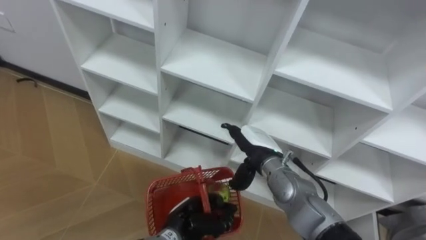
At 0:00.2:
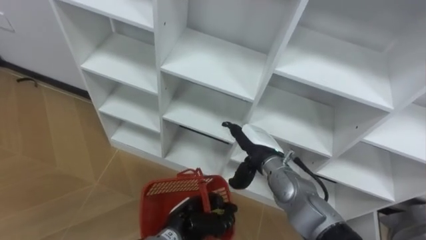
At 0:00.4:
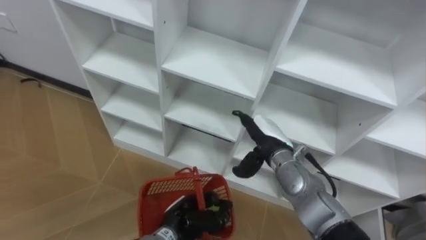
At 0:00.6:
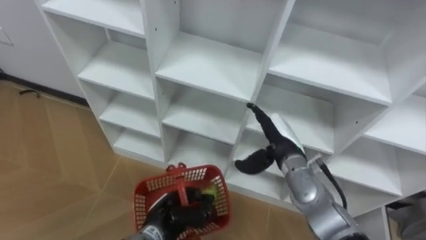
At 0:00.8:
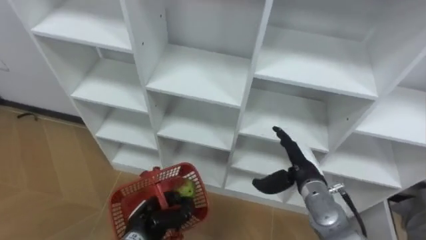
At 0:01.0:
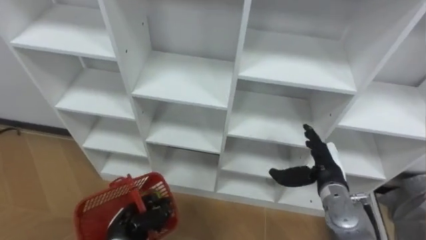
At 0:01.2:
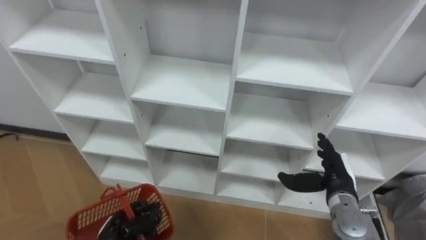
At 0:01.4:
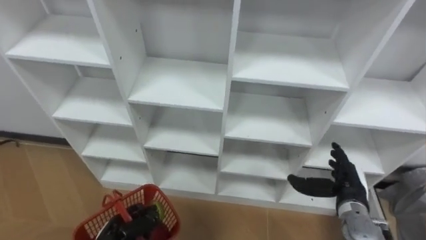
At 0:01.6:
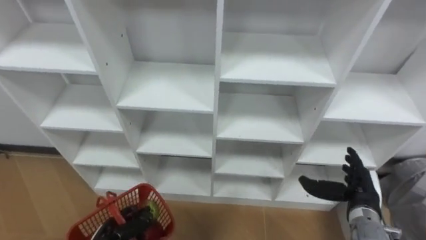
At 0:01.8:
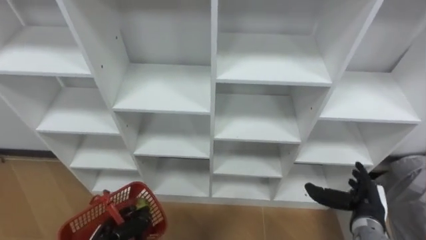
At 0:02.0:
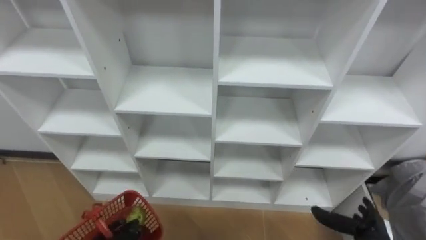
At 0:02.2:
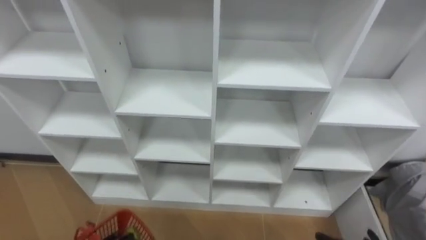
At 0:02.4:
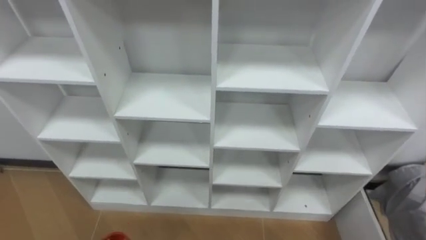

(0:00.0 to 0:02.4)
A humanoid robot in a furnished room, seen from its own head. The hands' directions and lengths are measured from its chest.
Task of the whole recording: Hold the basket and collect the fruits from 3 different cells of the closet into it.
0:00.0 - 0:01.2: The left hand goes about 15 cm to the left. Meanwhile the right hand goes approximately 15 cm to the right.

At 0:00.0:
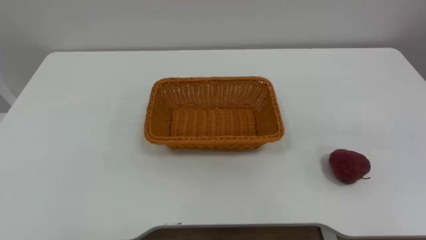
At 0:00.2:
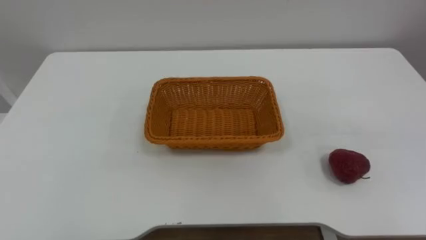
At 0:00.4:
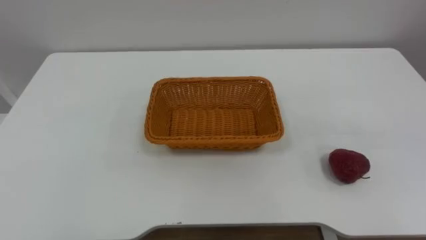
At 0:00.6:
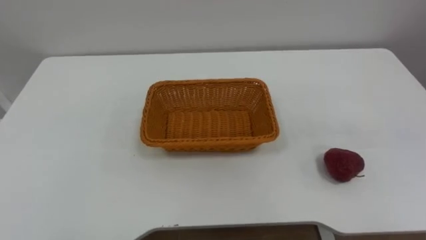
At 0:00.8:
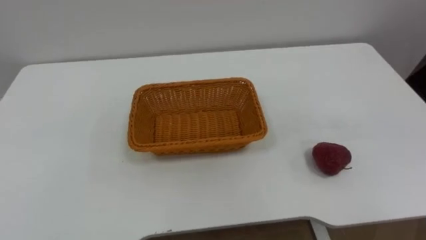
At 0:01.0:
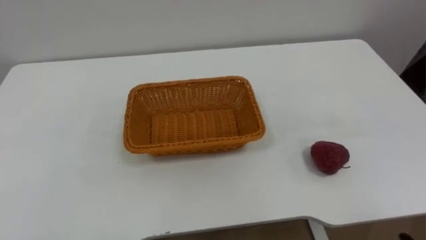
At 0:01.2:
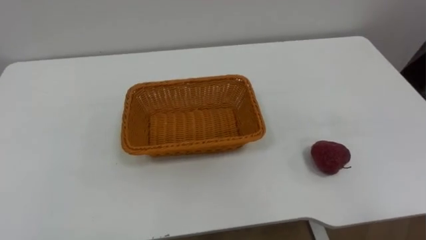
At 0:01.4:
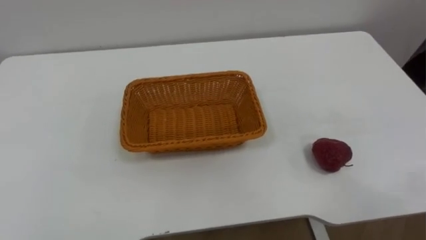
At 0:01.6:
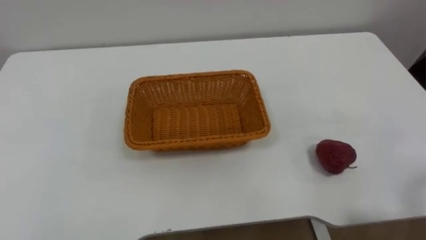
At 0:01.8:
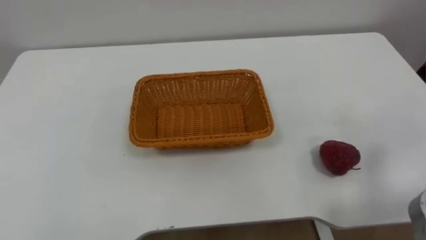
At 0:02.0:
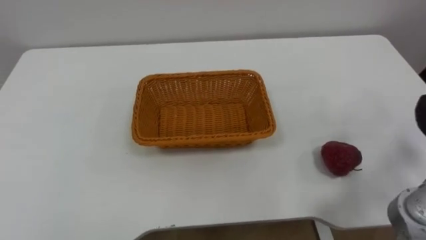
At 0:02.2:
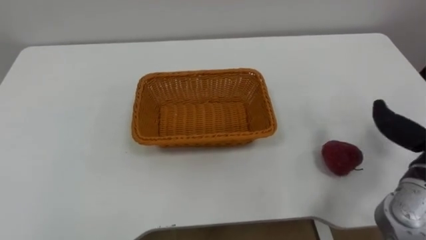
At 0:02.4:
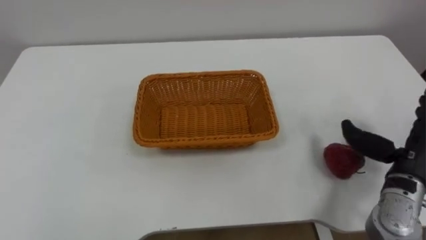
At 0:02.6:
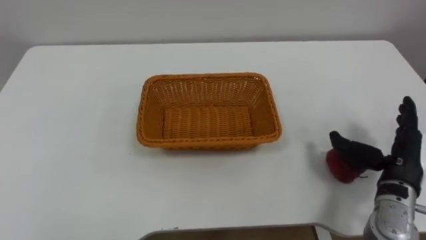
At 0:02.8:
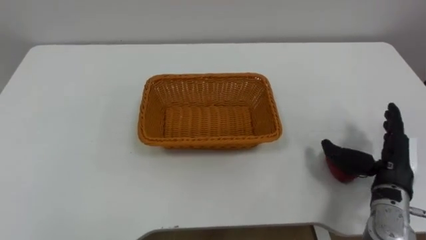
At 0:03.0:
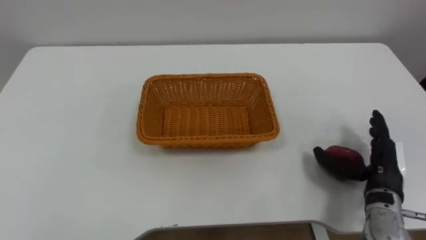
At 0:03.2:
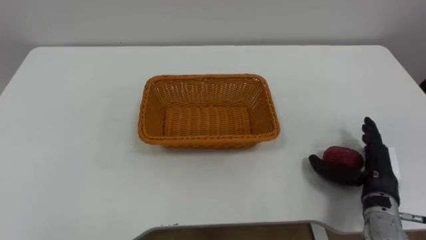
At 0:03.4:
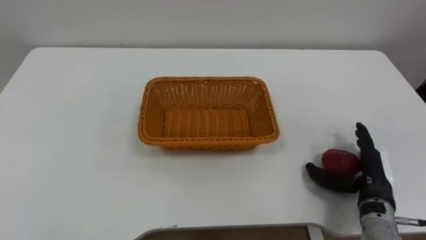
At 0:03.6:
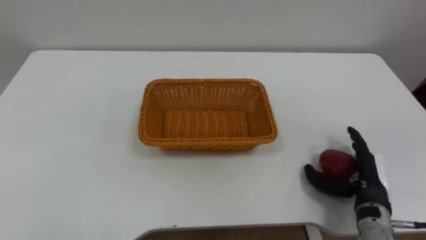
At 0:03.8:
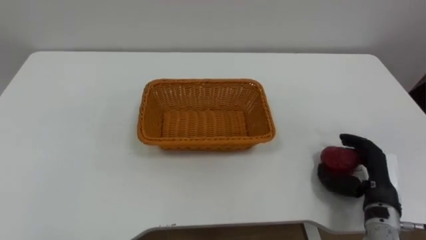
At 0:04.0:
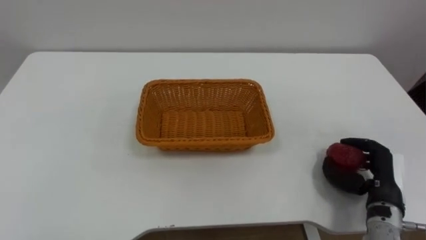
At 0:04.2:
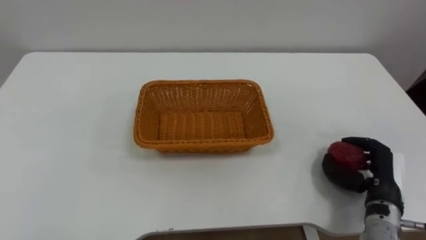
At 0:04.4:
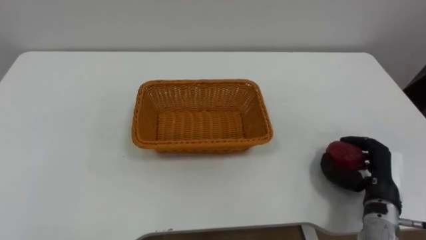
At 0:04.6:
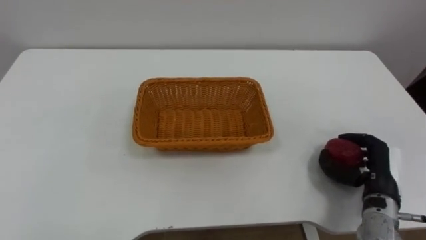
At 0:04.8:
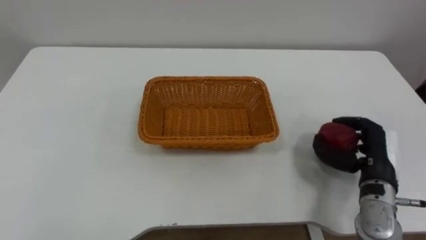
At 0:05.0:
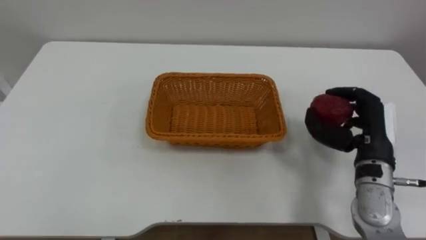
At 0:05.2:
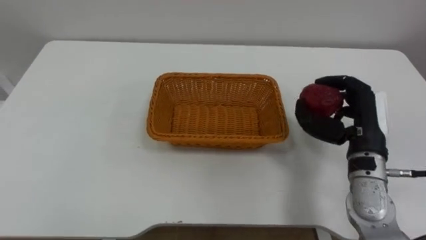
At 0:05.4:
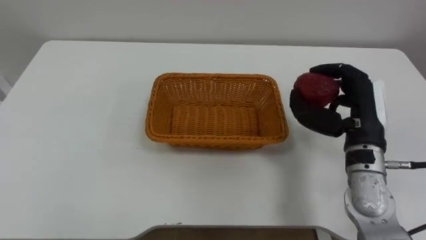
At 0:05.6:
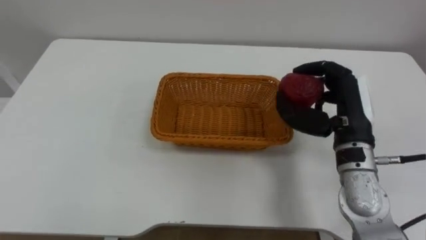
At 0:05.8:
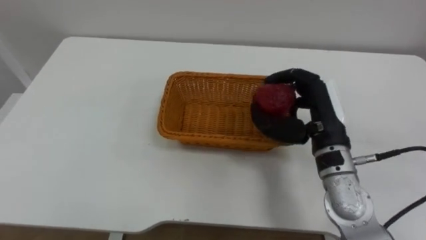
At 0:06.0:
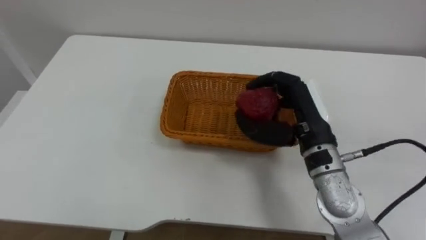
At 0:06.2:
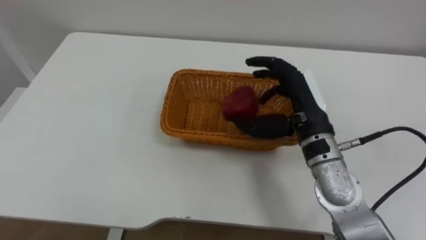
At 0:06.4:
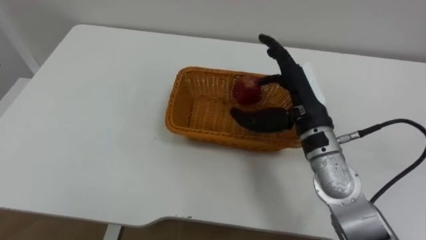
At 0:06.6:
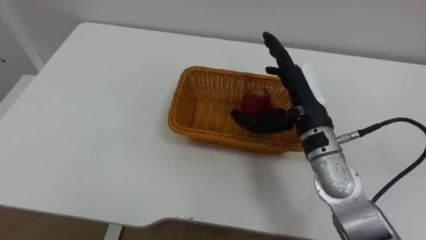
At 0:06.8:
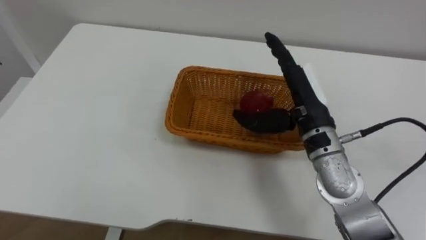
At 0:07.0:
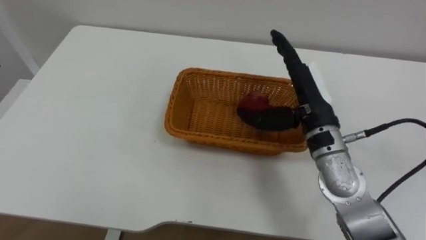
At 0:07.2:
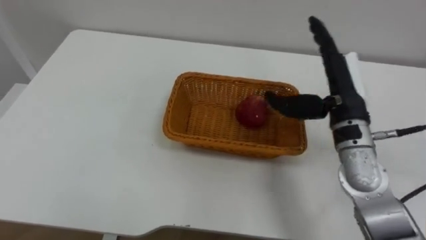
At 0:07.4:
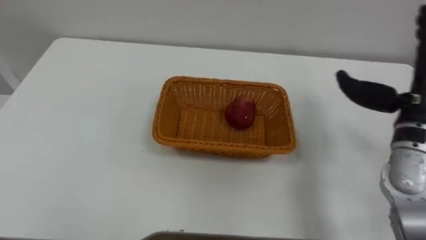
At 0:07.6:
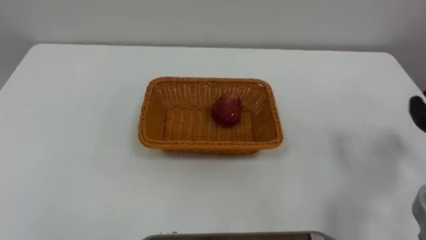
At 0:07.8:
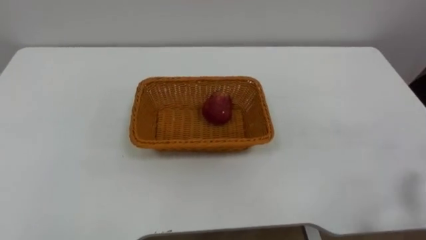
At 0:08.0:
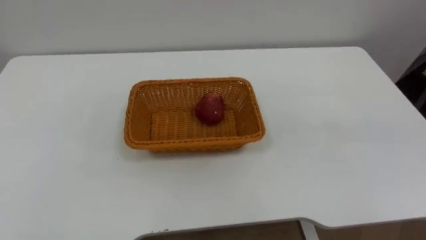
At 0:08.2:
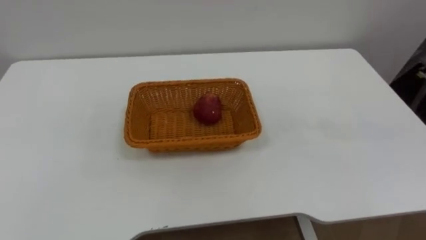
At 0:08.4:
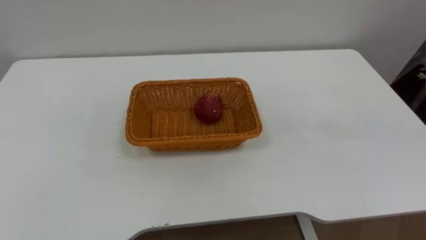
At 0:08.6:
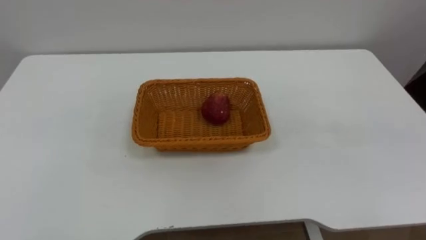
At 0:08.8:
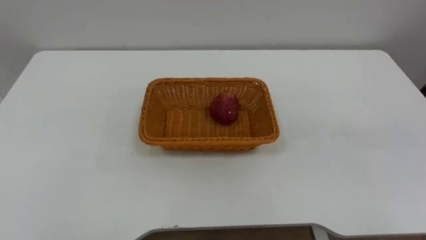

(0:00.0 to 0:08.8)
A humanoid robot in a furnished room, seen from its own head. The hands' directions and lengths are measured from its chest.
Task of the whole recording: Pick the apple and place it in the box.
0:03.0 - 0:04.4: The right hand closes its fingers.
0:04.4 - 0:05.8: The right hand travels upward, to the left and forward by roughly 20 cm.
0:05.8 - 0:07.4: The right hand is displaced to the right by roughly 10 cm, and opens.

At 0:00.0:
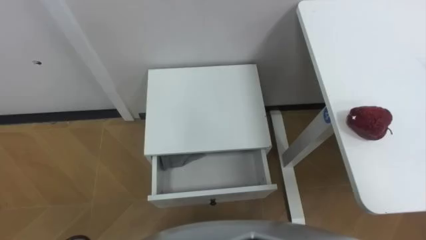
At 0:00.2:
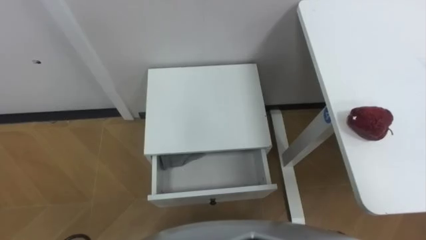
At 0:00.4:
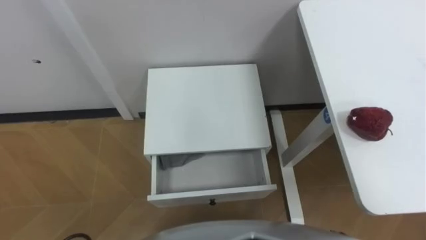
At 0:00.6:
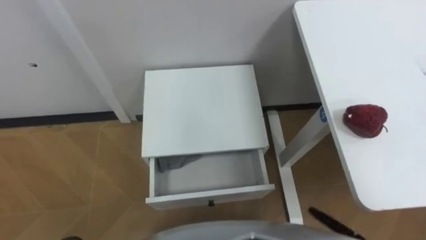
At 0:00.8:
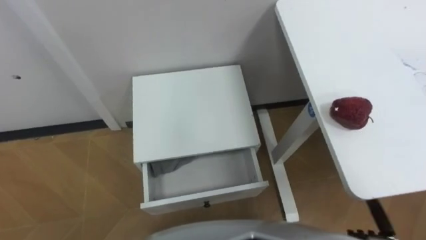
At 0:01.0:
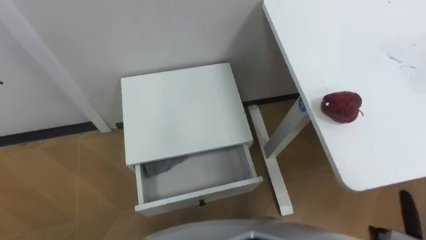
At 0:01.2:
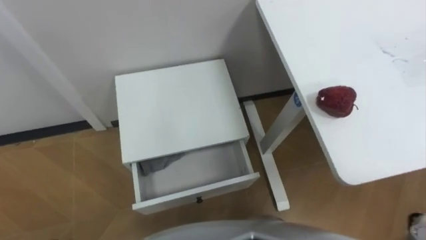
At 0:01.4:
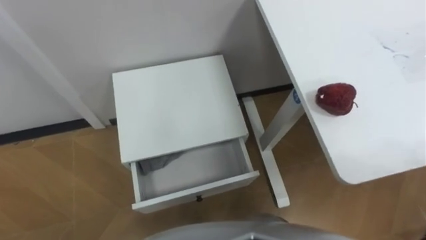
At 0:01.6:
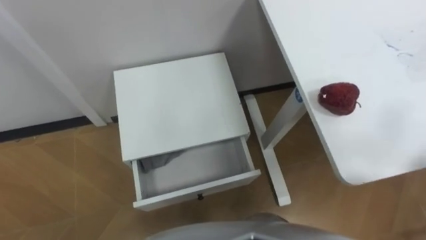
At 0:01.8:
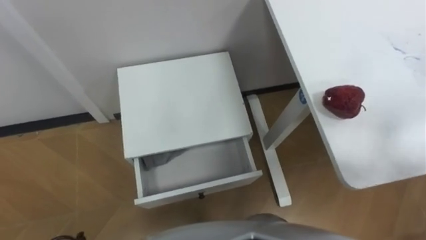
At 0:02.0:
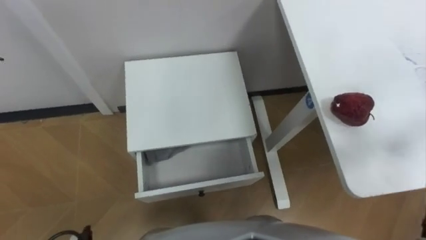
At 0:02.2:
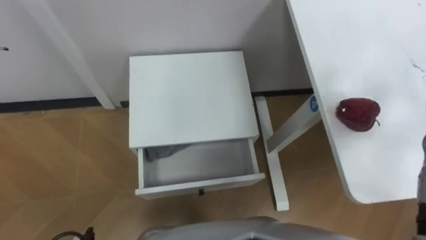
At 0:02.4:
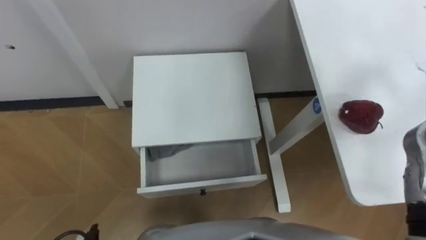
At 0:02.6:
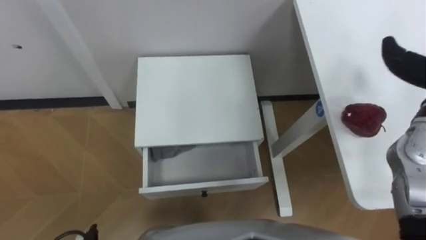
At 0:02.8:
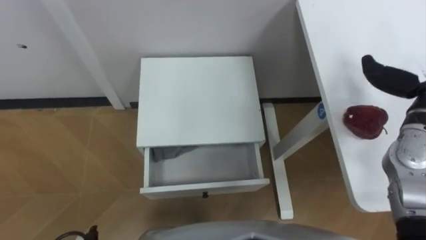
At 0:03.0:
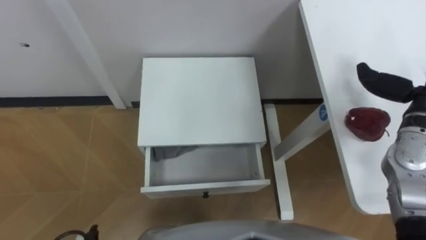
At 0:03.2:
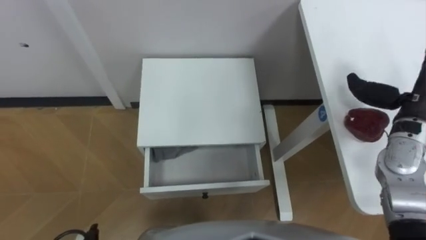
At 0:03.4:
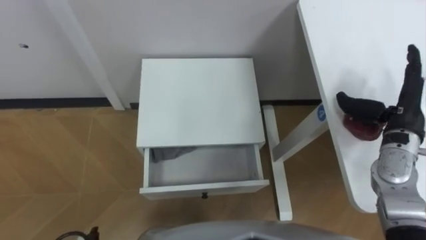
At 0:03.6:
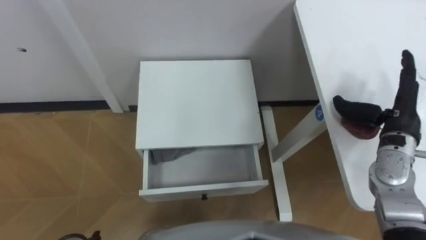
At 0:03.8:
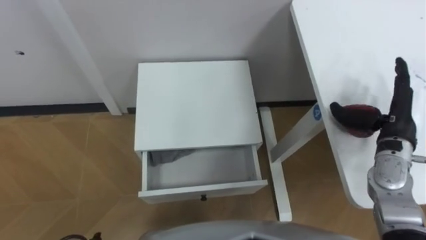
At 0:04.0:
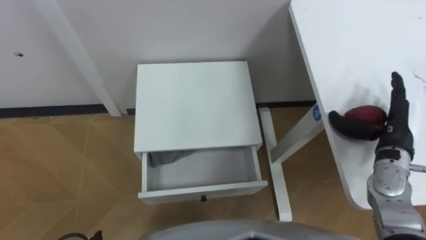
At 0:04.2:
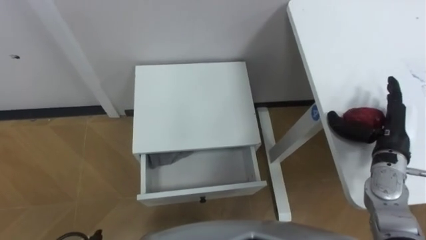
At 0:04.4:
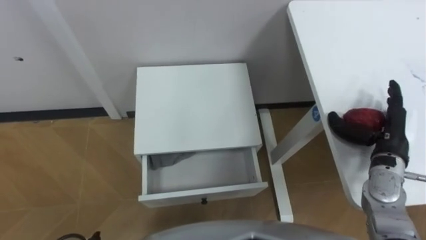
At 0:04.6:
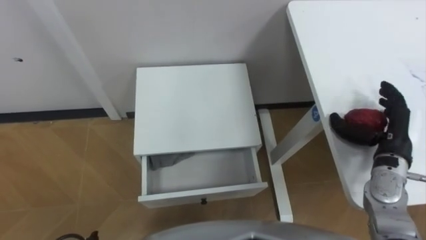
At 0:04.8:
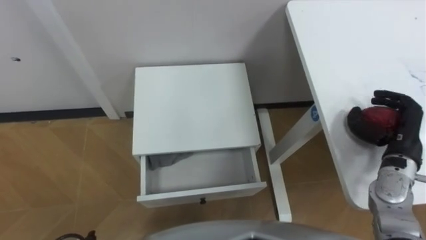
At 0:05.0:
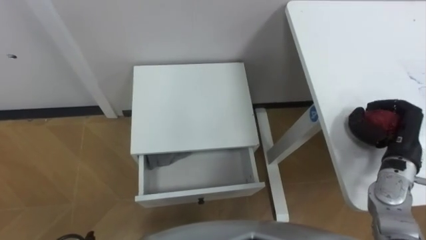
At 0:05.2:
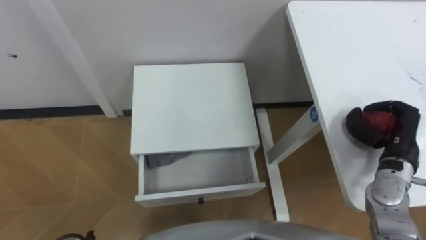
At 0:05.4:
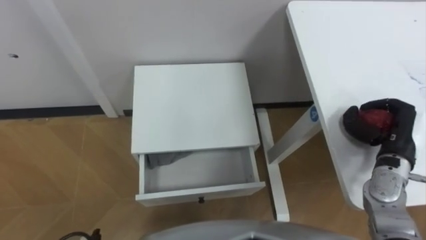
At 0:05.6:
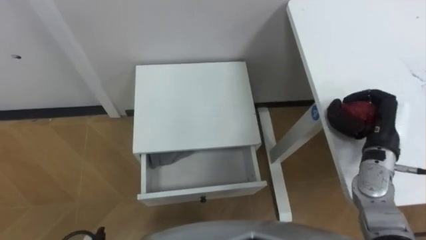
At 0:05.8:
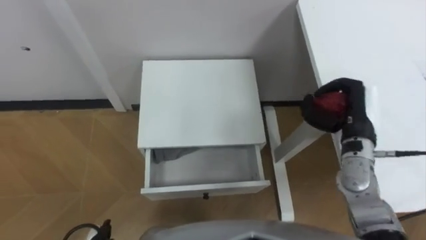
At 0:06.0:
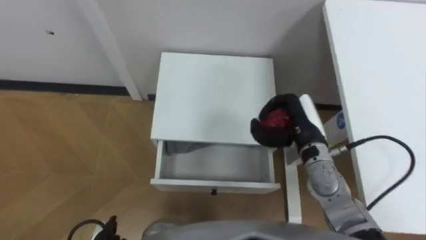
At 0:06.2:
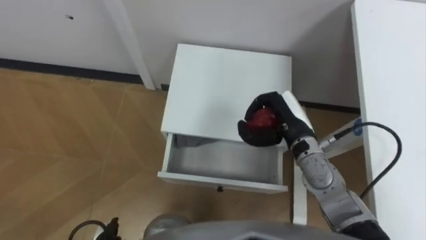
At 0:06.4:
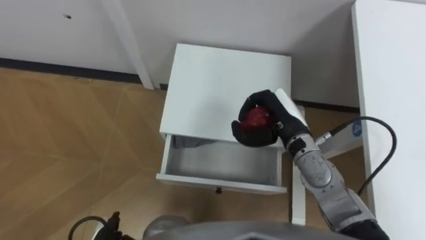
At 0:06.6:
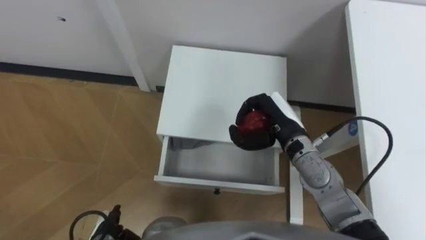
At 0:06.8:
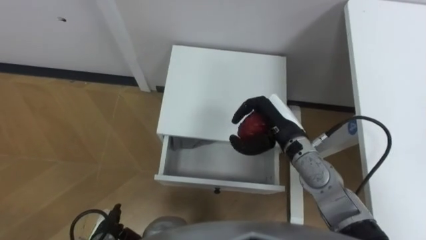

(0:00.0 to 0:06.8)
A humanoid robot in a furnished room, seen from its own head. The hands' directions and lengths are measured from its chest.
Task of the whole recording: Pick up the apple from the table, put it in the drawer, and close the drawer with leg.
0:04.0 - 0:05.4: The right hand closes.
0:05.4 - 0:06.8: The right hand goes roughly 20 cm to the left.
